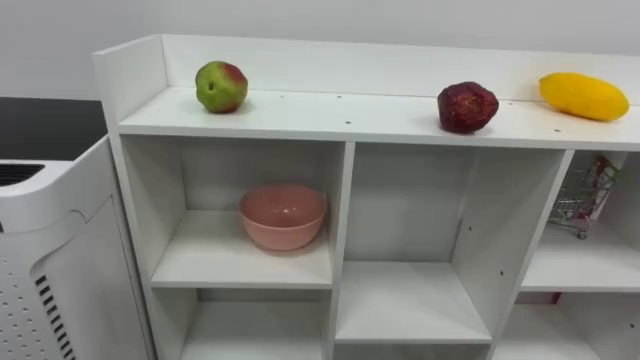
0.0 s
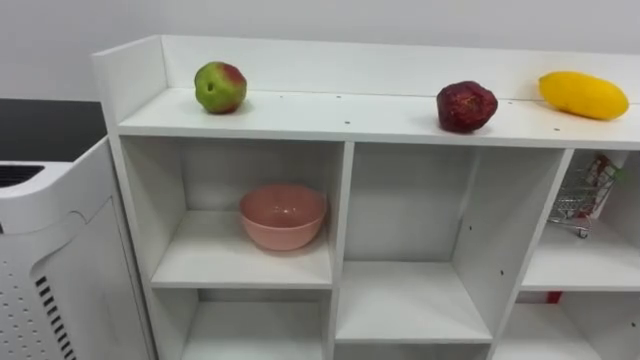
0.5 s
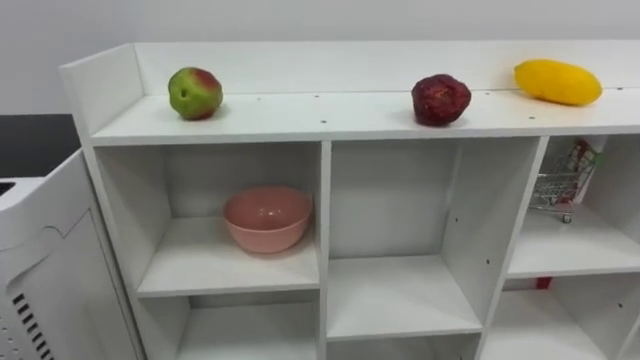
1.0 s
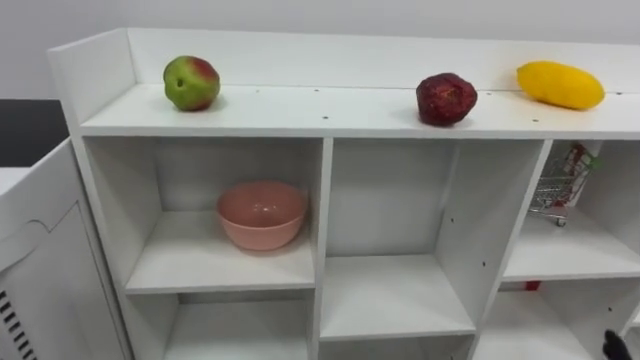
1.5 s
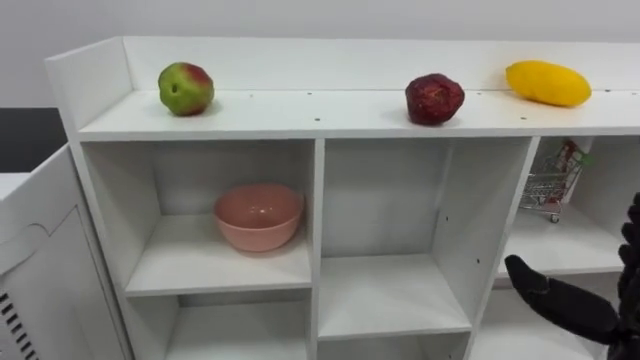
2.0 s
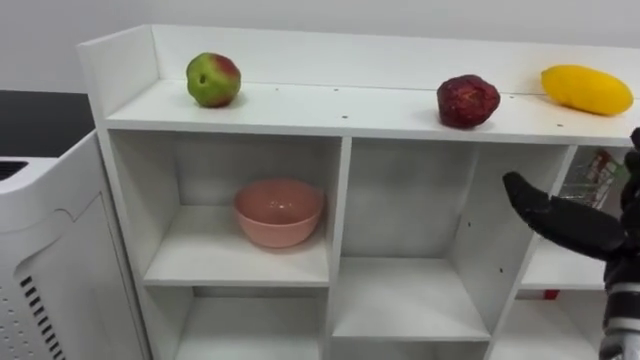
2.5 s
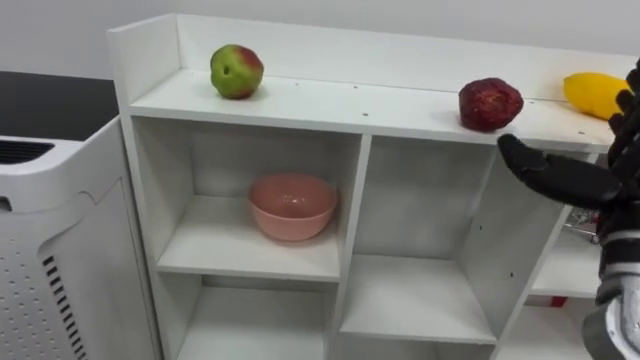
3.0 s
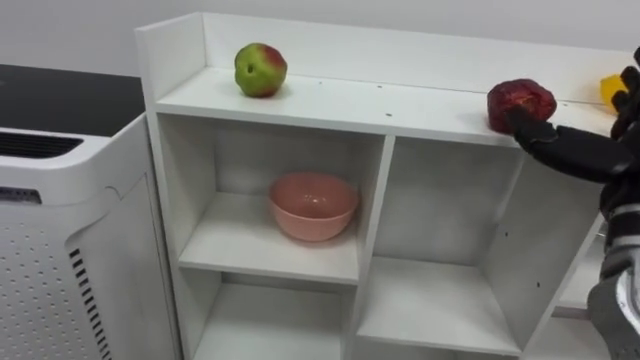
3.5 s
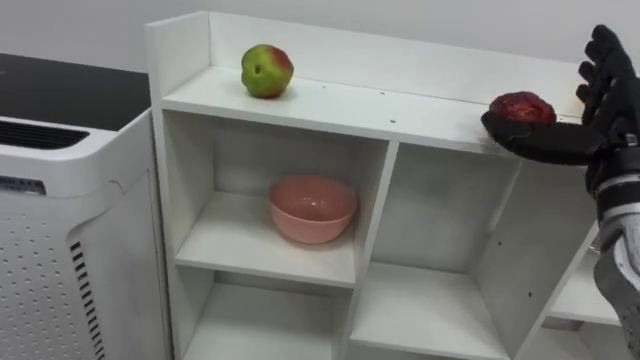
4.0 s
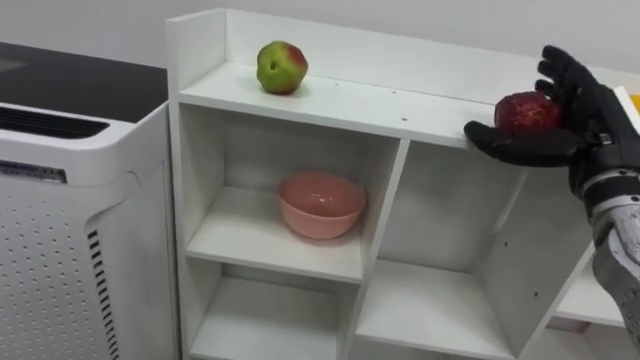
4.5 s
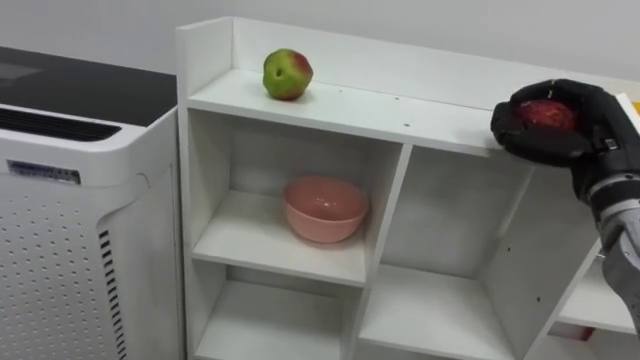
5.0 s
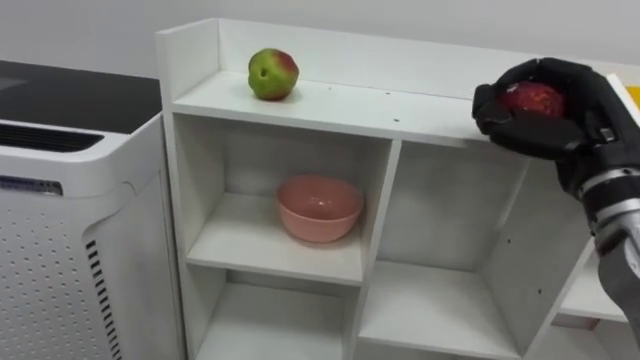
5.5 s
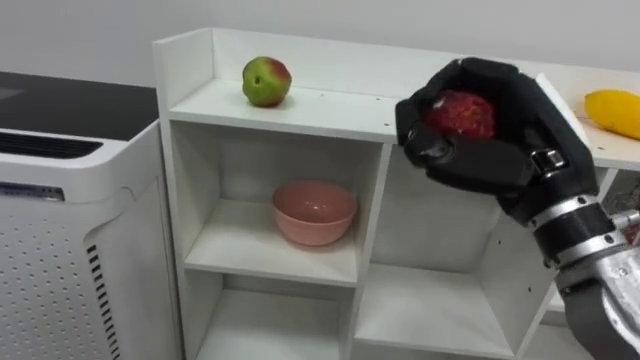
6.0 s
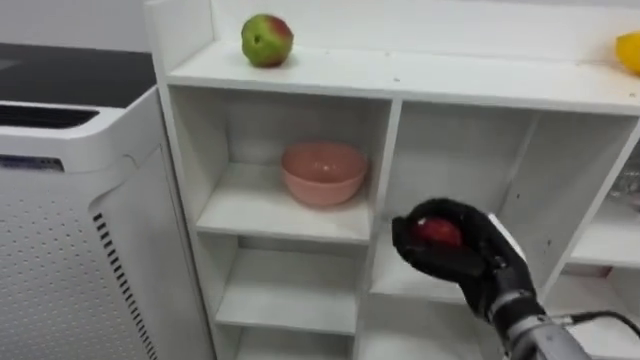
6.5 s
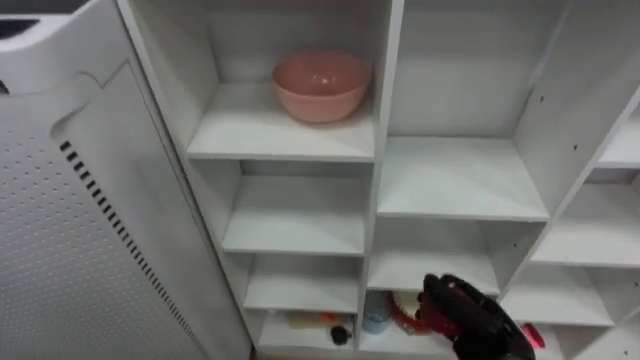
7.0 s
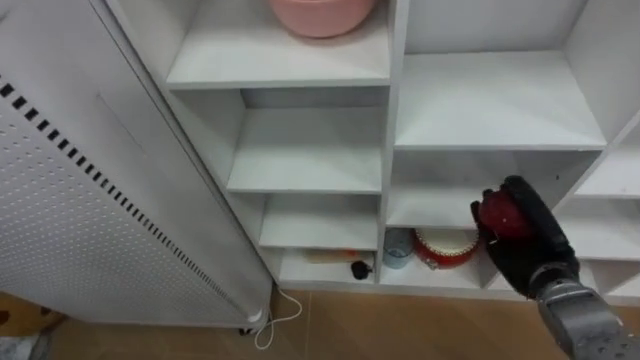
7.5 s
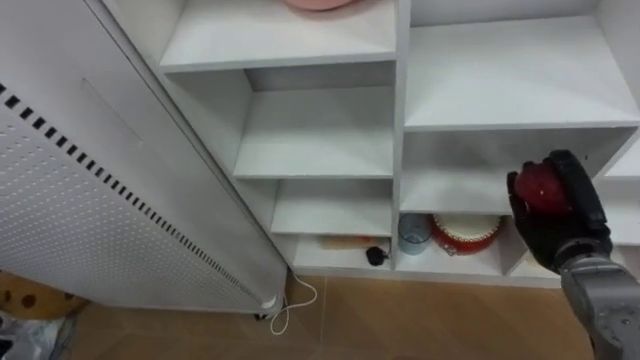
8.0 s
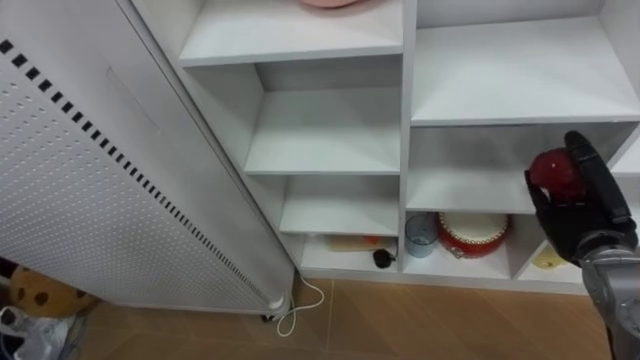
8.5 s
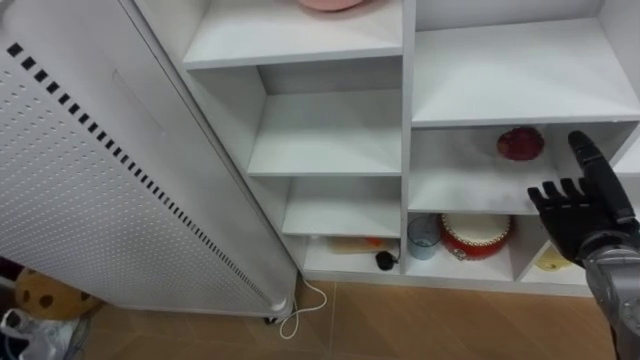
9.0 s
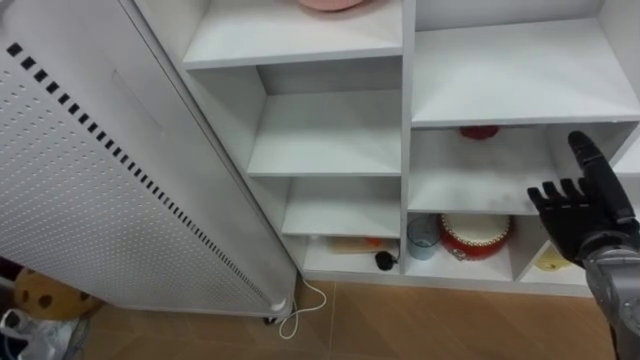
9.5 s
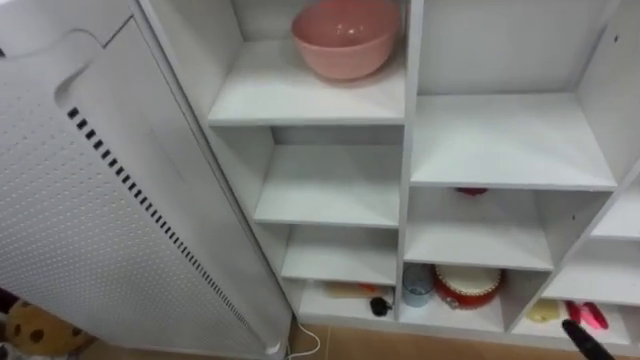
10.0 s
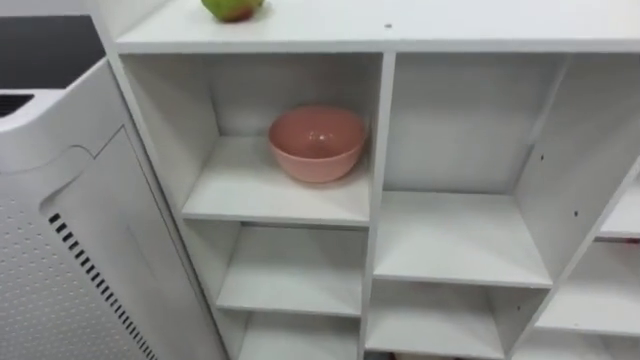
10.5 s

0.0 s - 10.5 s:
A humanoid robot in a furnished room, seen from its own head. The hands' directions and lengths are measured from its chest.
Task of the whole recording: Put the apple in the cell in the second column from the left and the second row from the top.
4.0 s - 6.5 s: The right hand heads downward and to the left, covering some 15 cm, and closes its fingers.
6.5 s - 8.5 s: The right hand goes roughly 15 cm to the right and forward, and opens up.

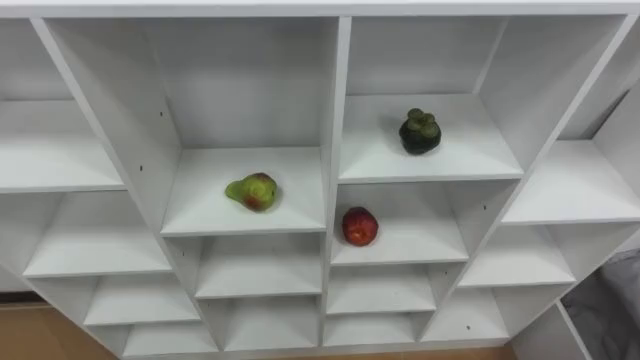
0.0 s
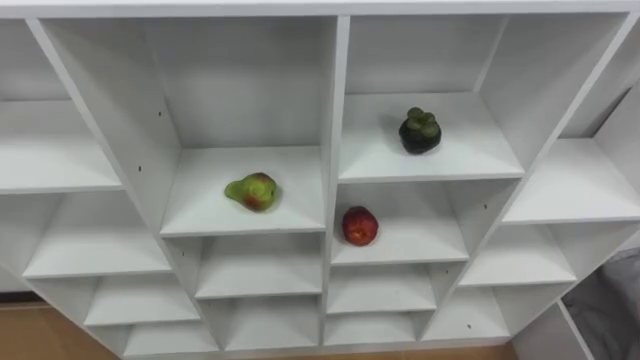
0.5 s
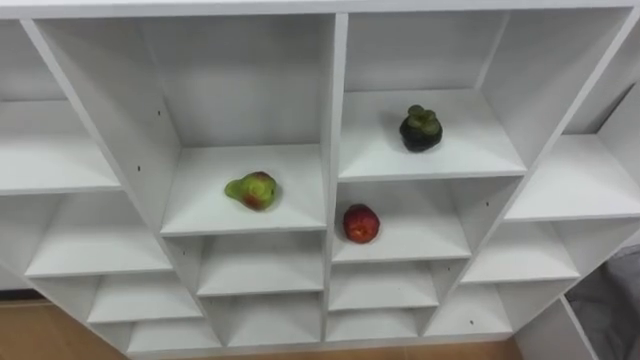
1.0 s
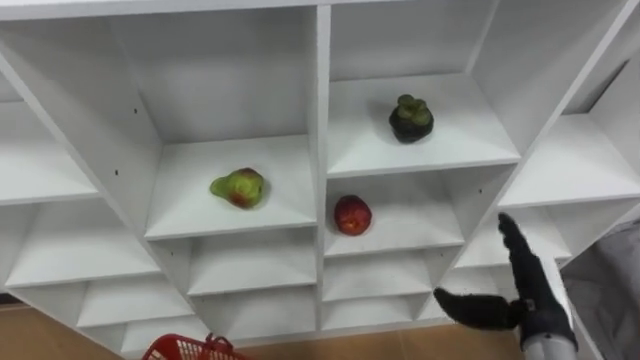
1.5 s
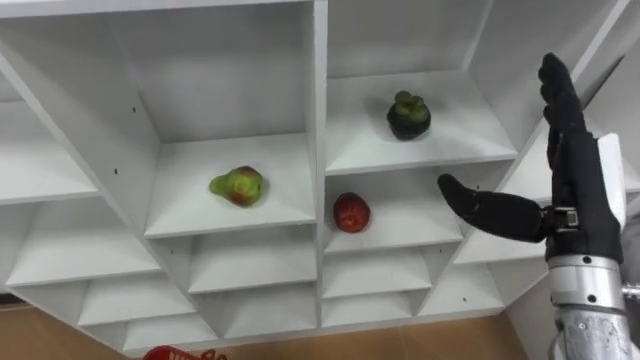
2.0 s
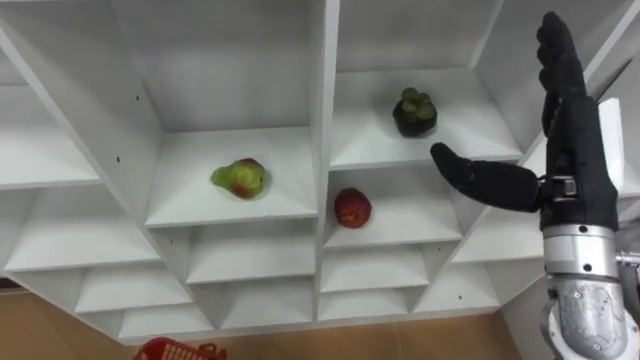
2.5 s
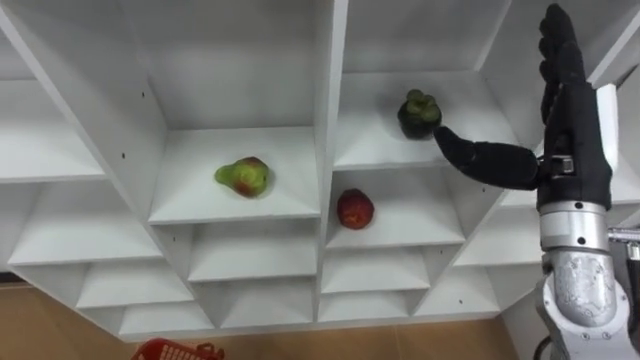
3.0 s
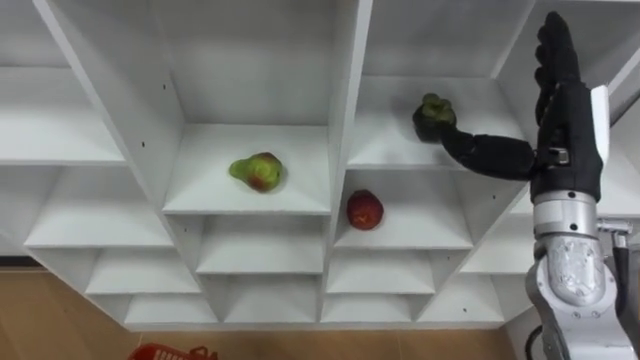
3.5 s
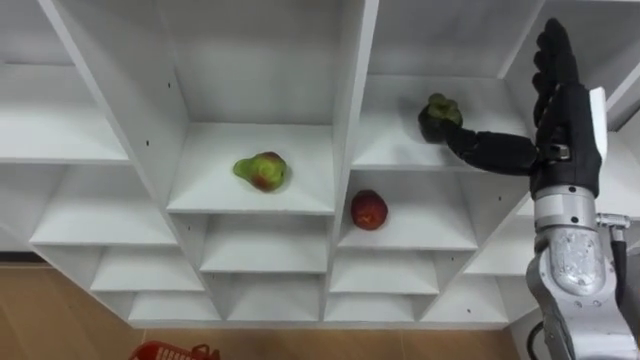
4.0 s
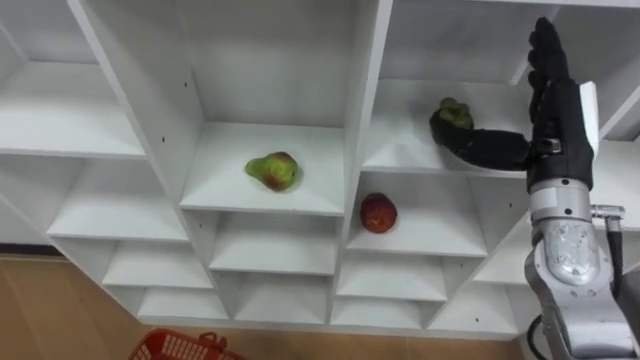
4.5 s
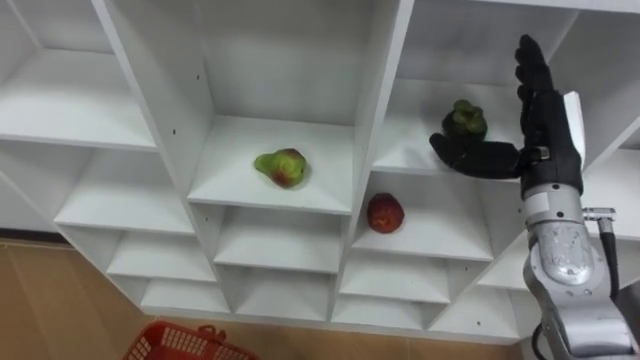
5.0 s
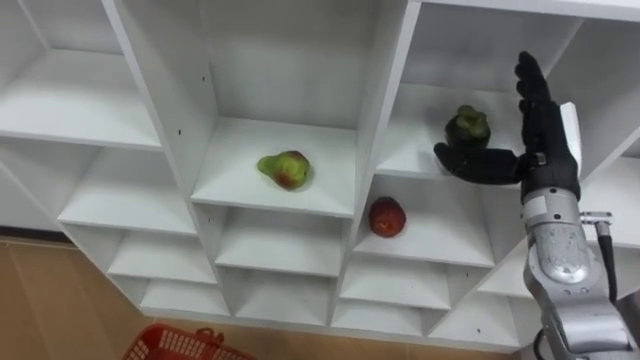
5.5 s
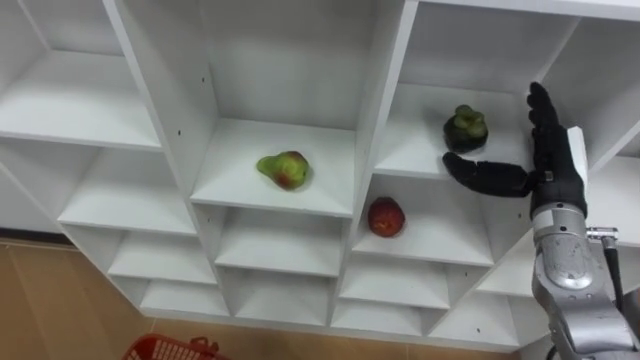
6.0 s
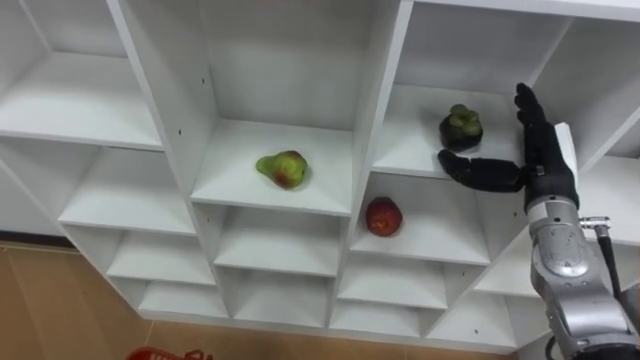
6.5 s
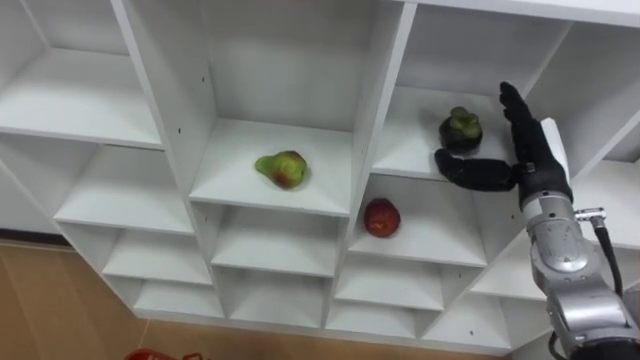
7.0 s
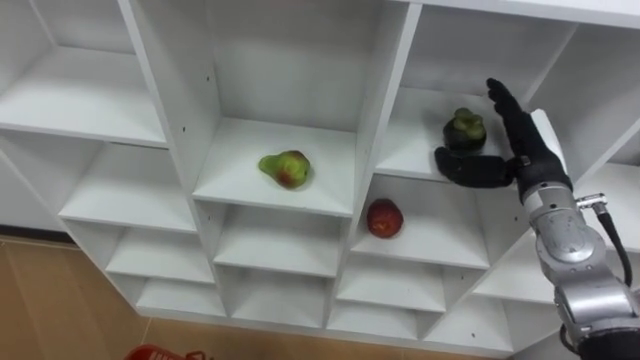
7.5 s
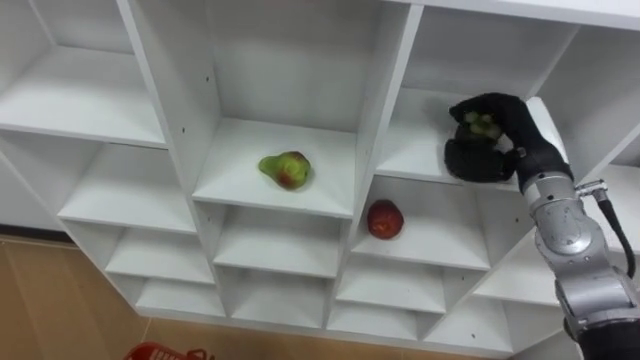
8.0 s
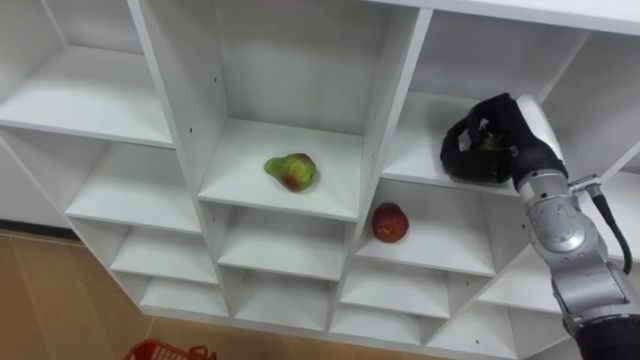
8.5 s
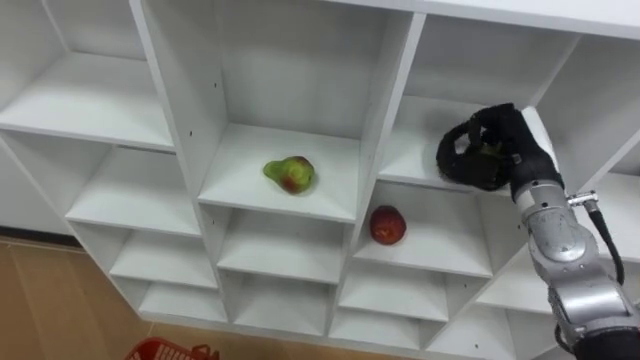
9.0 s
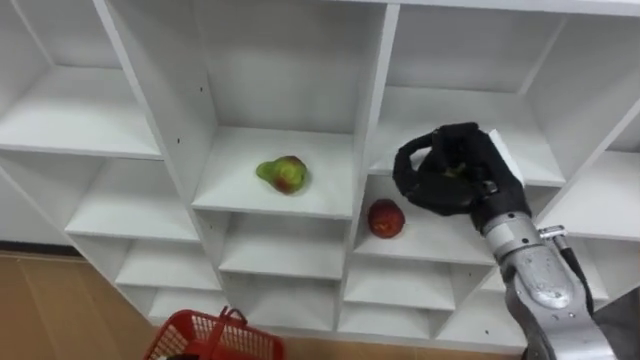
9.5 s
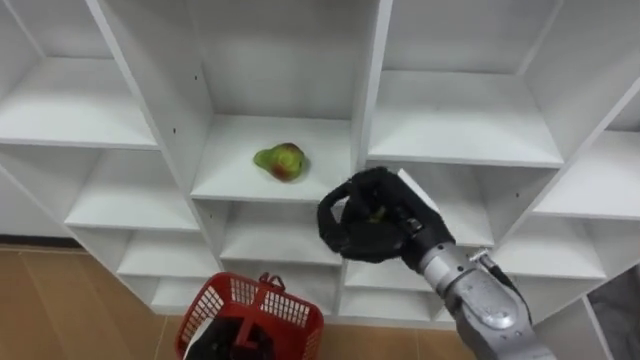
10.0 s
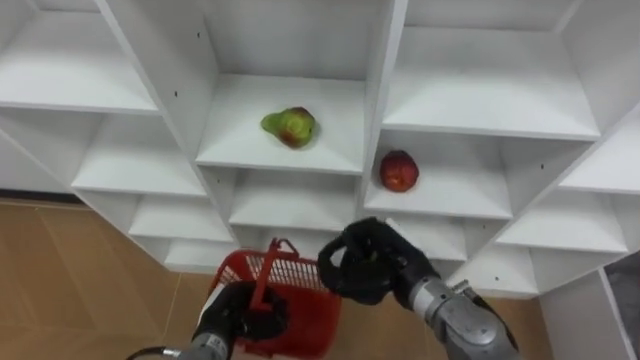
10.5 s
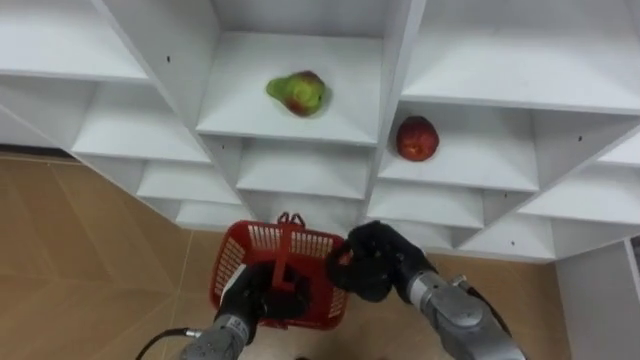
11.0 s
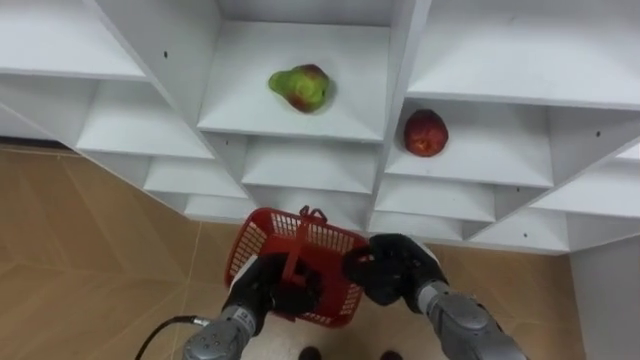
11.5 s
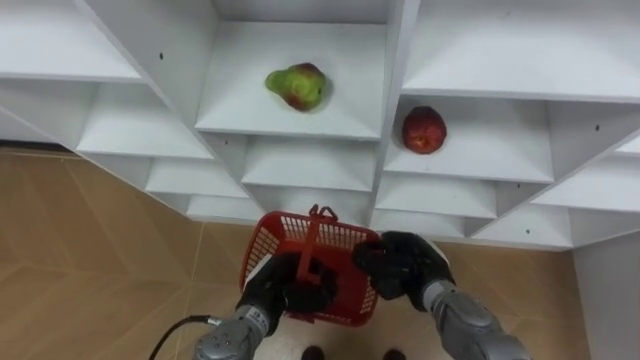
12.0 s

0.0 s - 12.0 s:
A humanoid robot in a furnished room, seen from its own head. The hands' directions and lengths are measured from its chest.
Task of the whole recording: Hold the basket and collect the fruits from 3 different cells of the closet into it.
2.0 s - 4.0 s: The right hand goes some 5 cm forward.
4.0 s - 6.0 s: The right hand heads downward, covering roughly 5 cm.
6.0 s - 8.0 s: The right hand closes.
8.0 s - 10.0 s: The right hand goes about 15 cm to the left and backward, and closes its fingers.
10.0 s - 12.0 s: The left hand shifts approximately 15 cm to the right, forward and upward; the right hand goes some 15 cm downward.
